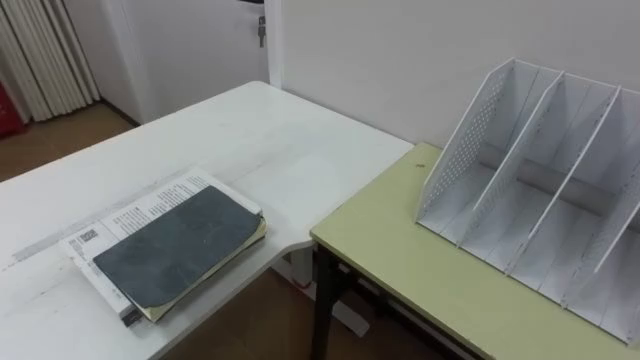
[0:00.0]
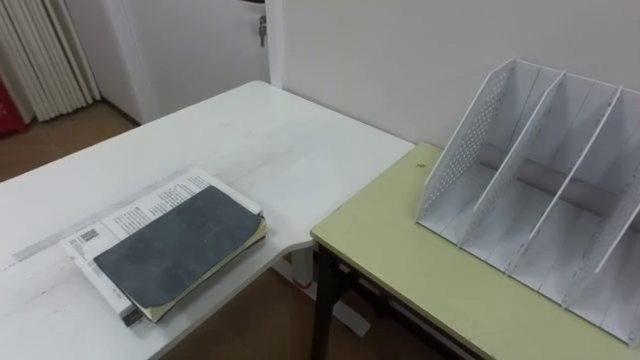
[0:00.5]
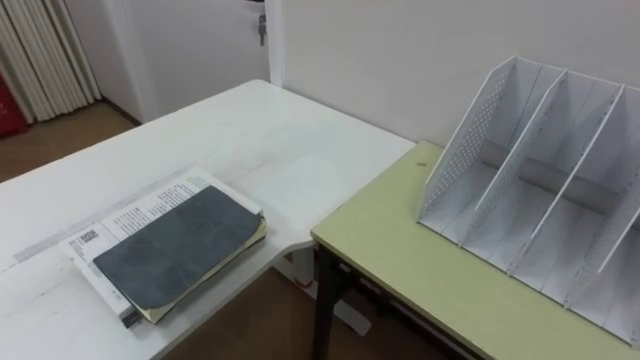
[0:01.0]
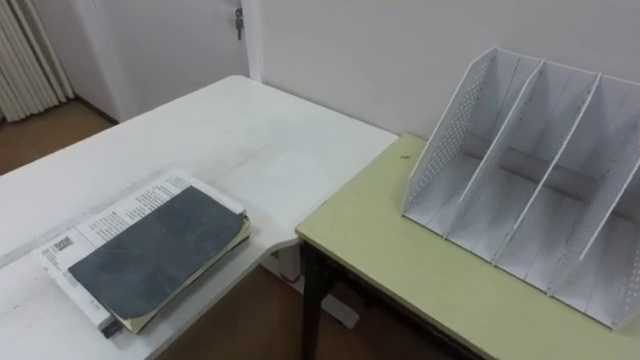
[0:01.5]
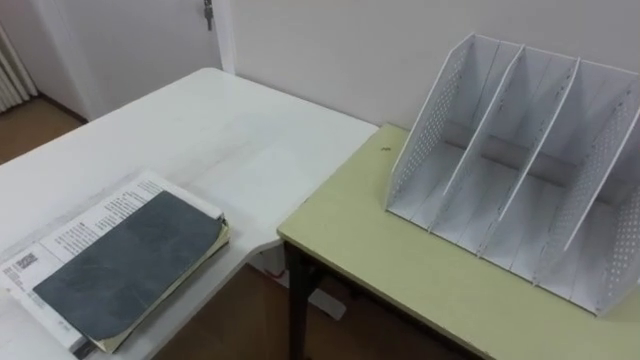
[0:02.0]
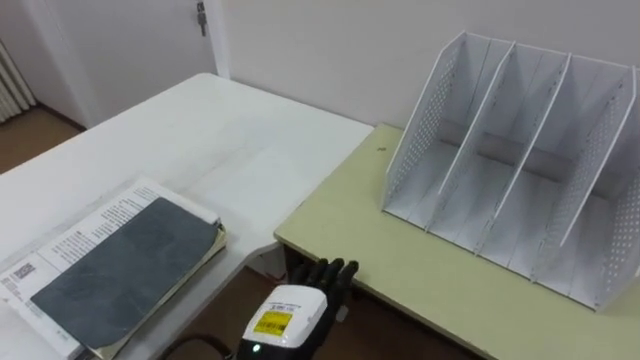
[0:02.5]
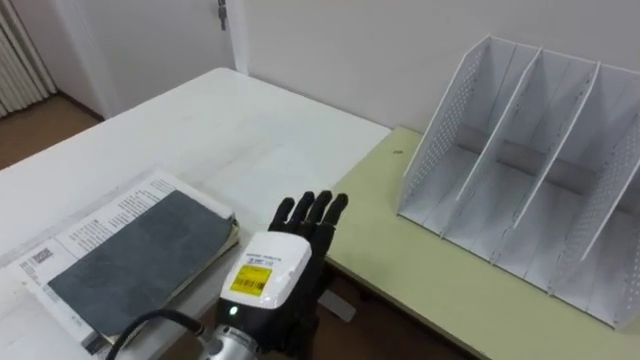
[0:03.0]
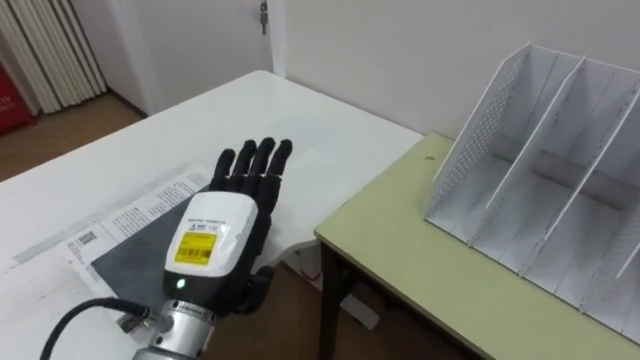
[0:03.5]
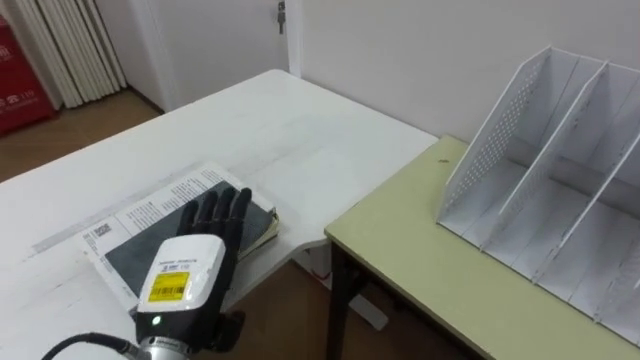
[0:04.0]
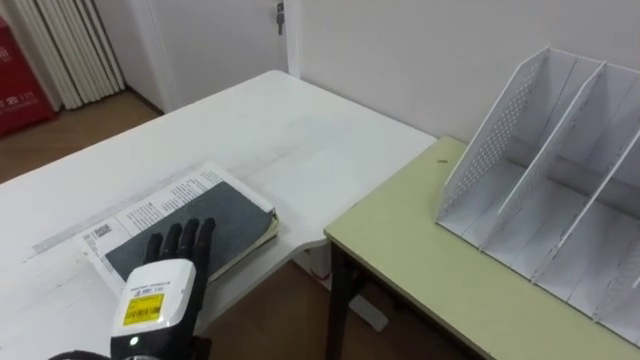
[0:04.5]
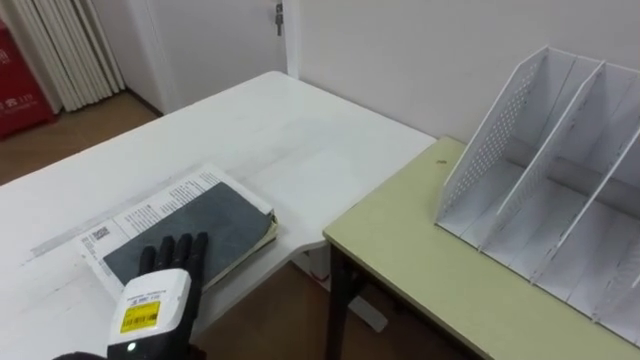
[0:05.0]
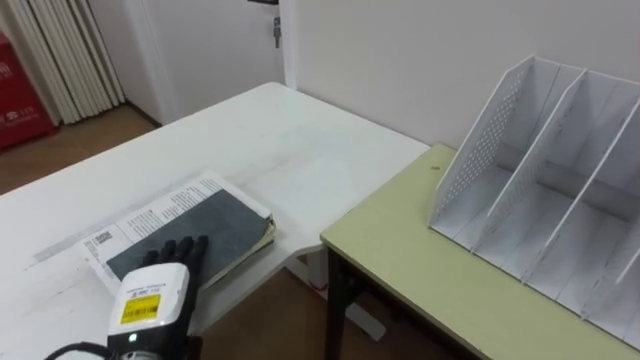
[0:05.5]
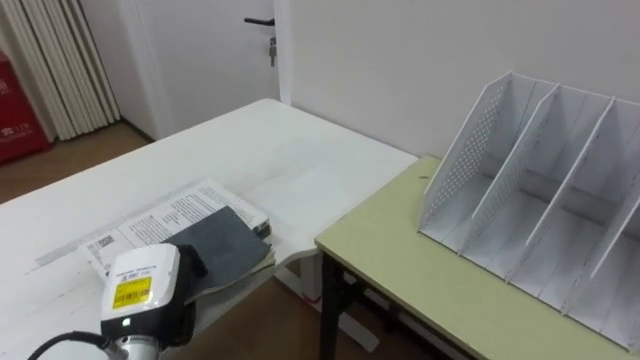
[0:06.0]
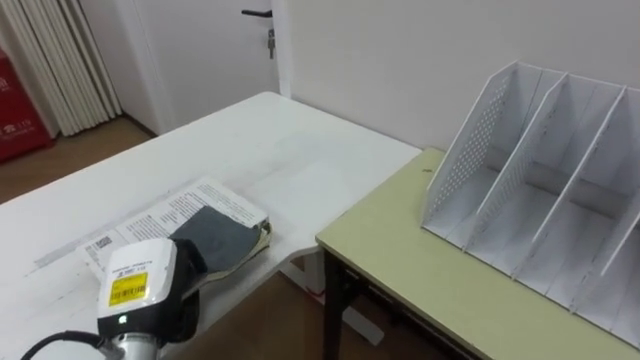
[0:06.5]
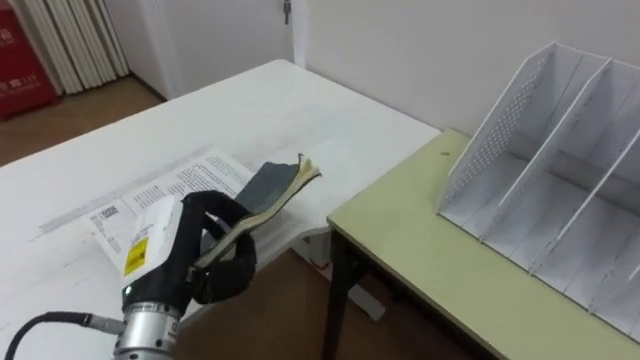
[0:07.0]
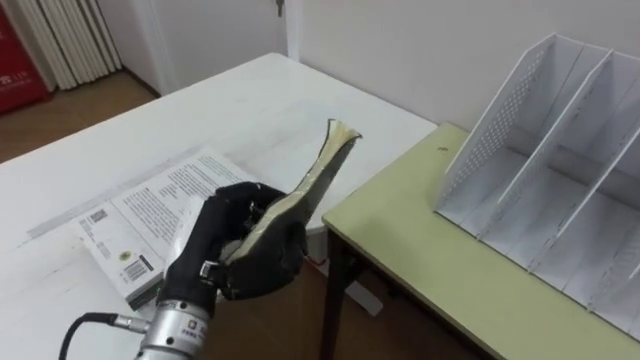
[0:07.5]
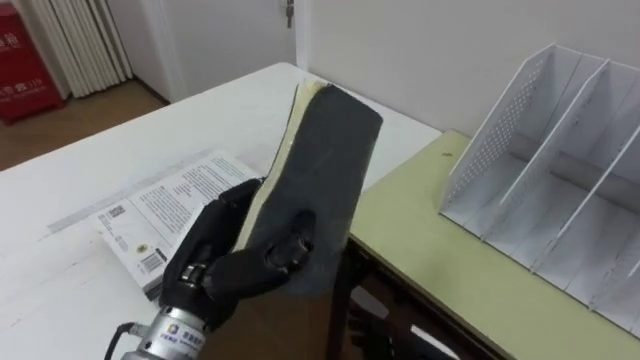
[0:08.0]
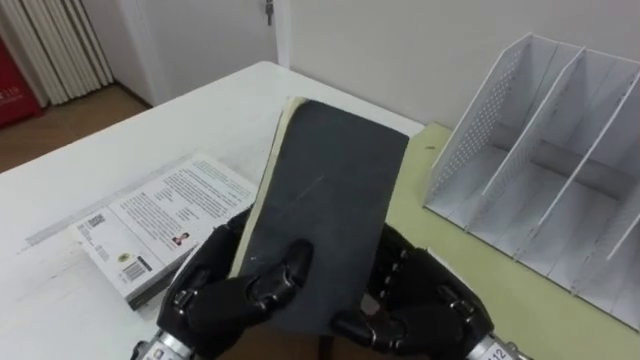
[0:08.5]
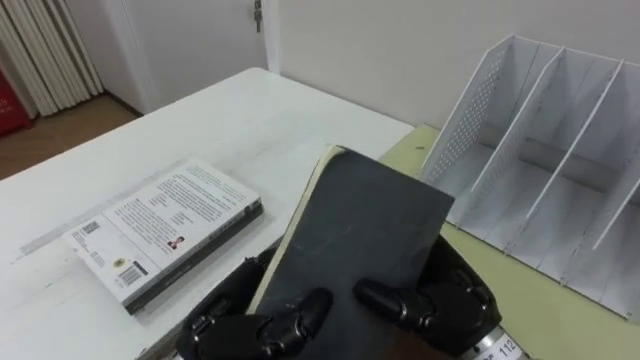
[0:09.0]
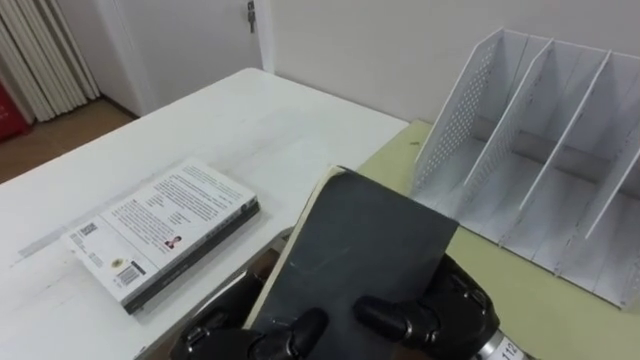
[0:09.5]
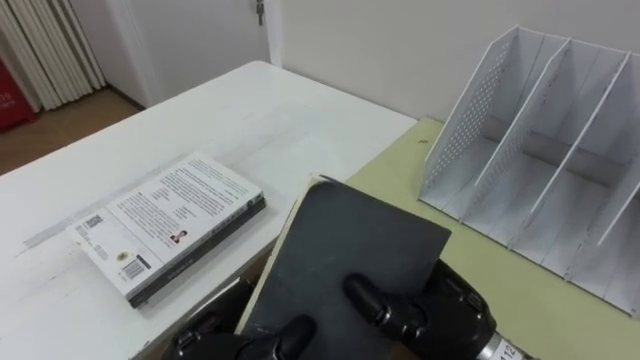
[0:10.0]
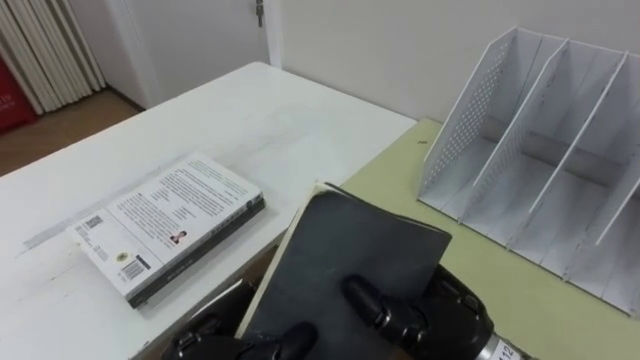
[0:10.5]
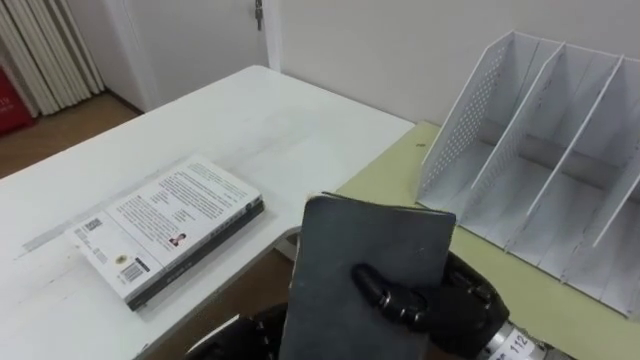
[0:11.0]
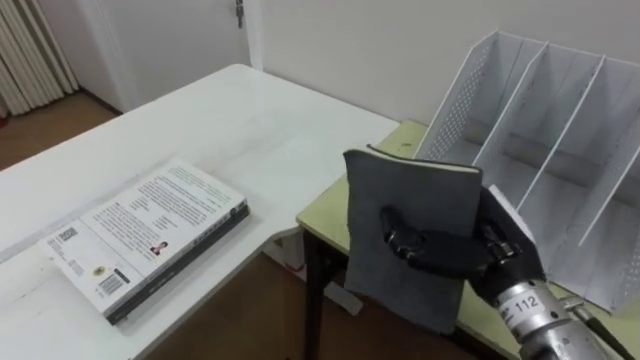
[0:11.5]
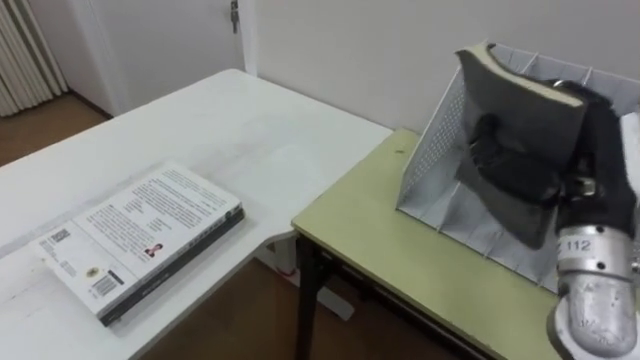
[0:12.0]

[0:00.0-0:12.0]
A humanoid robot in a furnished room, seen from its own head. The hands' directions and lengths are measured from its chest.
Task of the whole recording: Put the books on the table onto the bookshelf.
0:04.0 to 0:06.0: The left hand goes some 5 cm to the left, and closes up.
0:06.0 to 0:08.0: The left hand is displaced upward and to the right by approximately 10 cm.
0:08.0 to 0:10.0: The left hand goes about 10 cm downward and backward.
0:10.0 to 0:12.0: The right hand is displaced to the right, upward and forward by about 20 cm.

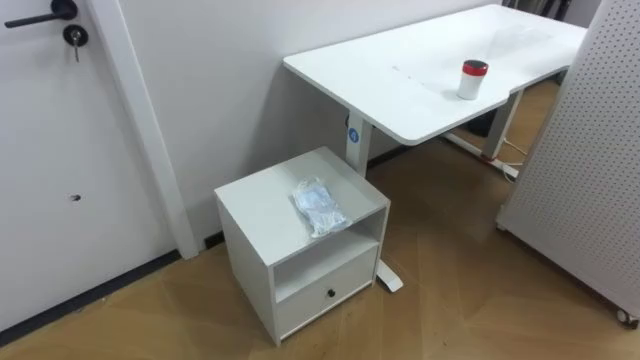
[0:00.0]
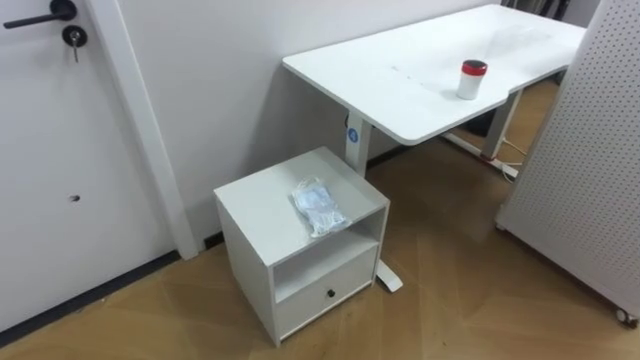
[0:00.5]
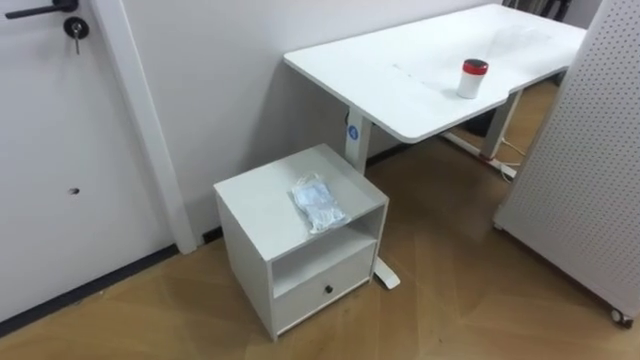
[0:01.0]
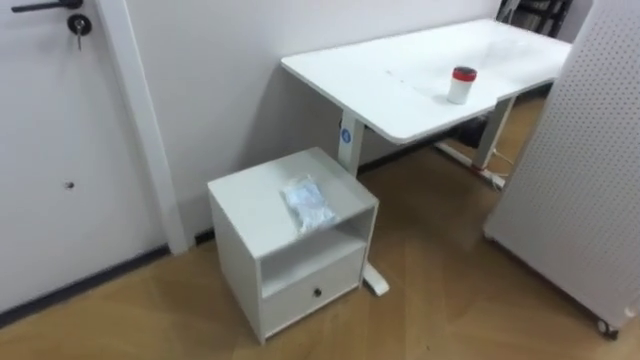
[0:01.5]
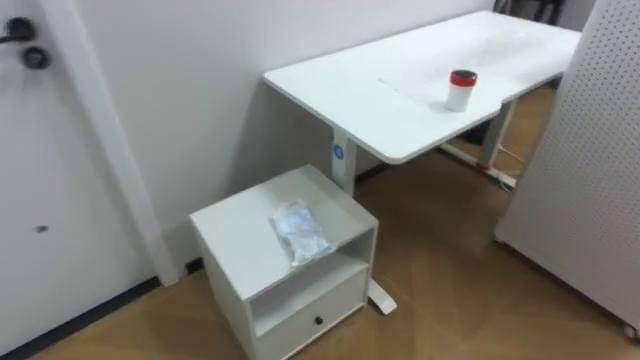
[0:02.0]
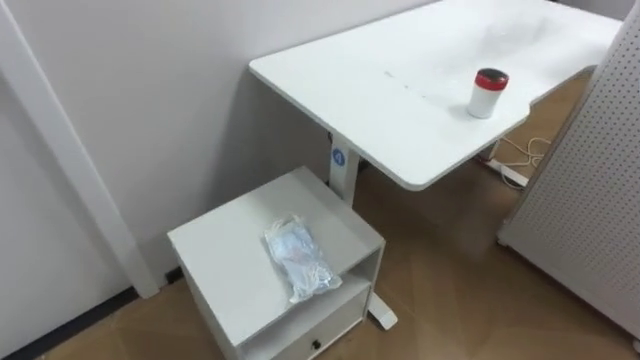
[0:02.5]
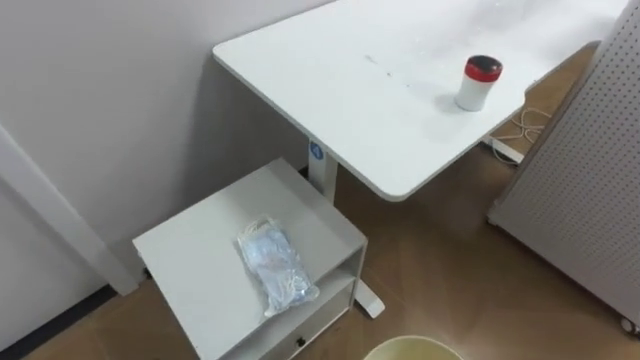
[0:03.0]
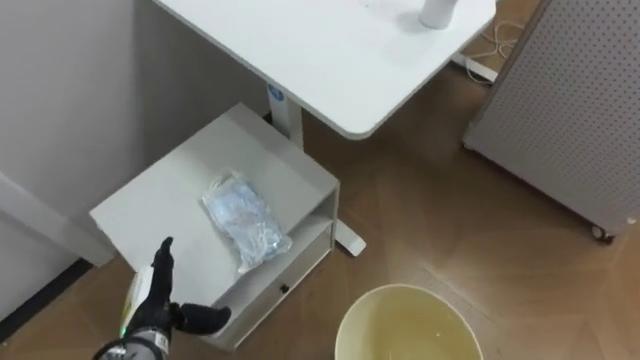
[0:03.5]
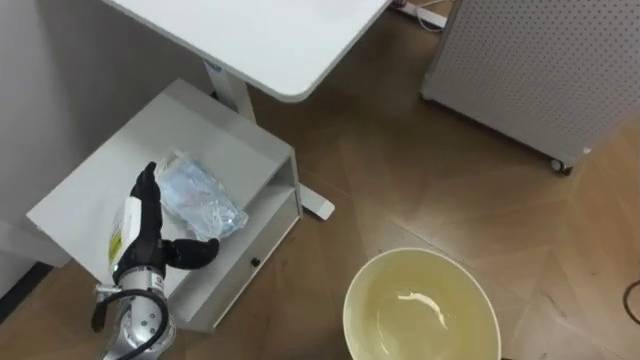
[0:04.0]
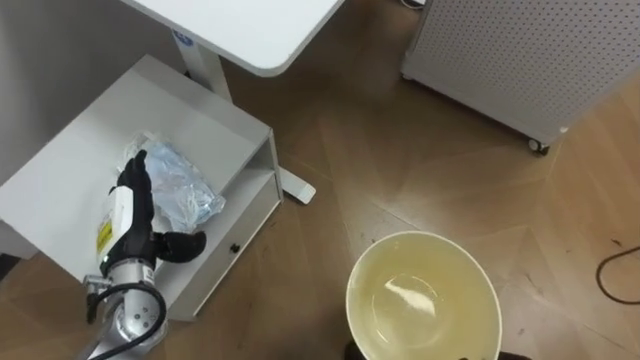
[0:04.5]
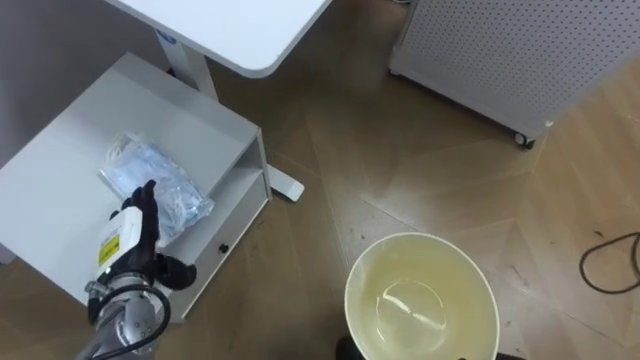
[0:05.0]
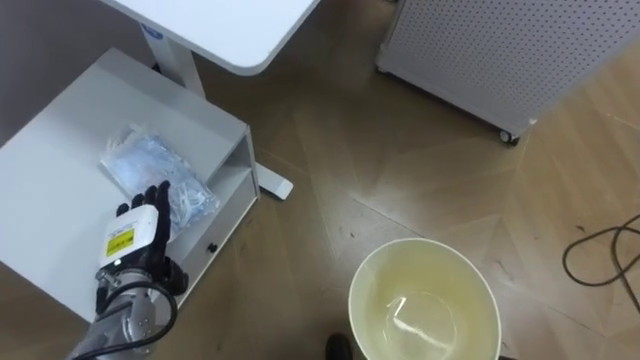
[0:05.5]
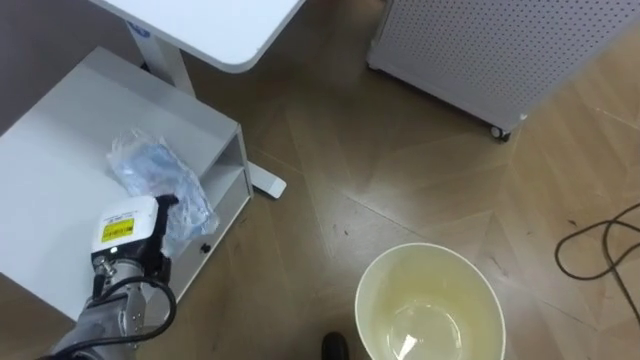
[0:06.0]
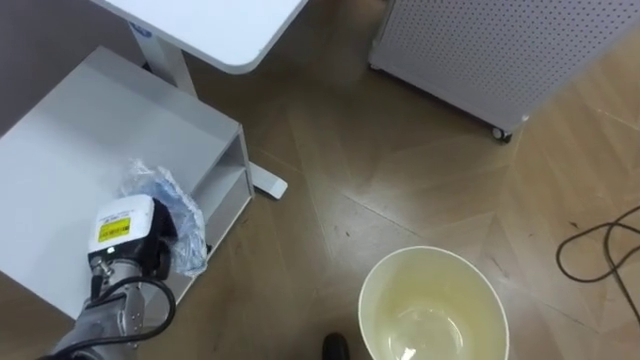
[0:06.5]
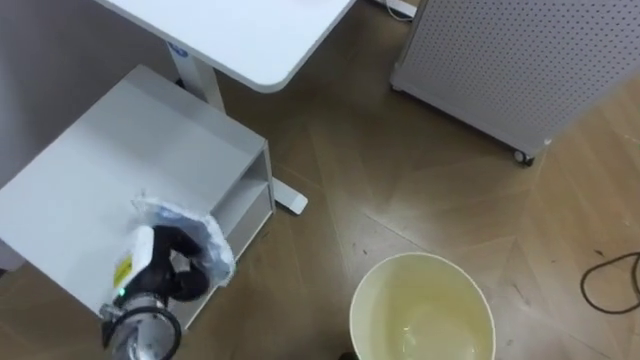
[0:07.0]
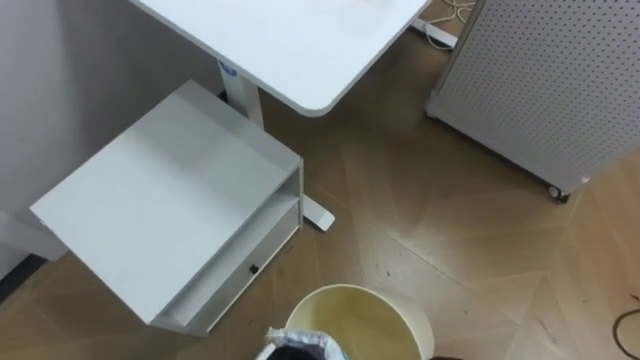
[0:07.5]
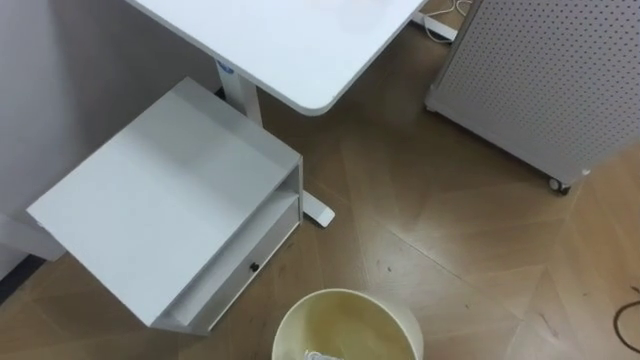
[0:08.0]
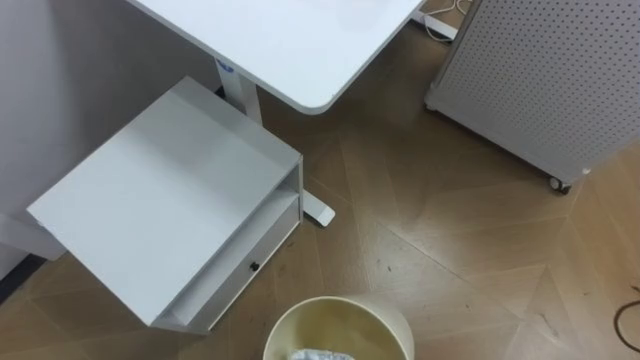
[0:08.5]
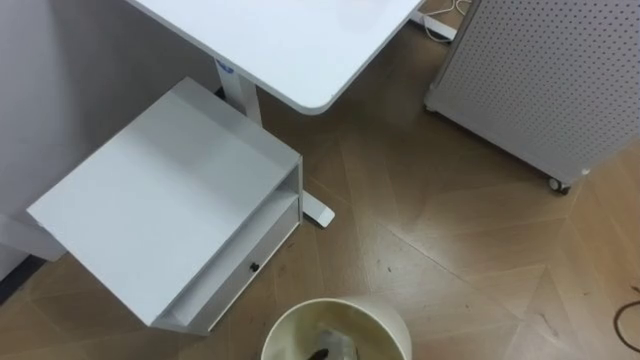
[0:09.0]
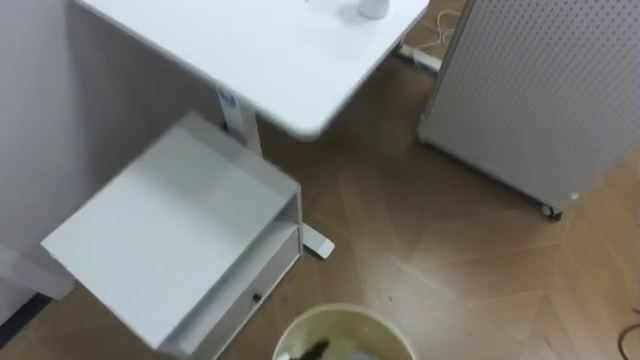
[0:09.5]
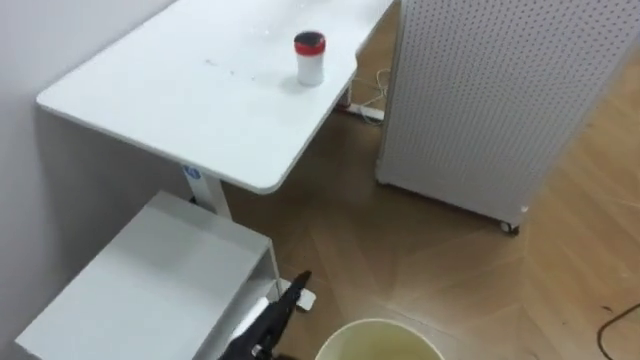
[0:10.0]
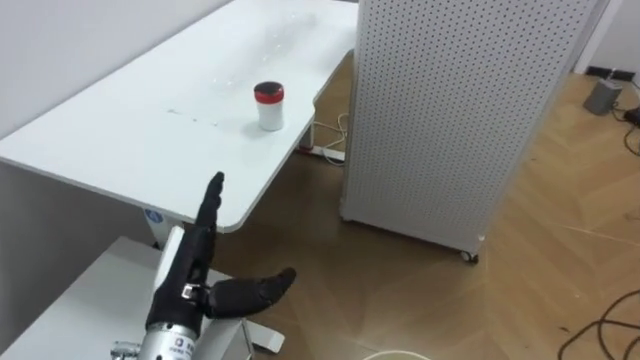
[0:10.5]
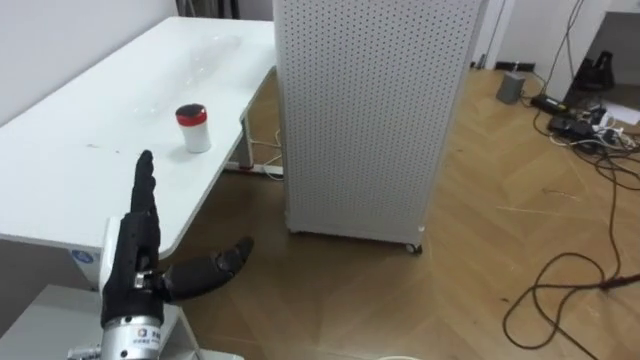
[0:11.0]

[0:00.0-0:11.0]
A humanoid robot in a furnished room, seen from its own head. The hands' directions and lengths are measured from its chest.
Task of the whole recording: Pick up the light blue package, the candy box, and the dark blue package separately, and put them into the trash can held in your right hand.
0:03.5 to 0:05.5: The left hand heads upward and forward, covering some 10 cm.
0:09.0 to 0:11.0: The robot's body swings roughly 30 degrees to its right.
